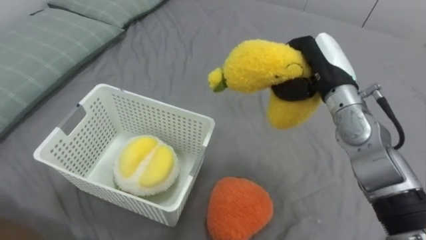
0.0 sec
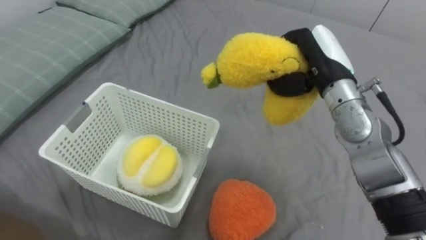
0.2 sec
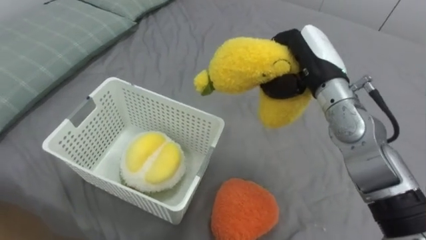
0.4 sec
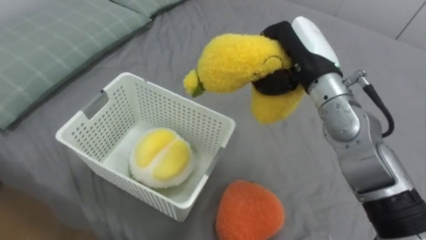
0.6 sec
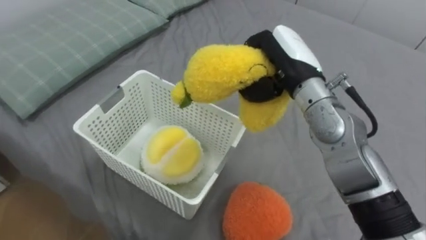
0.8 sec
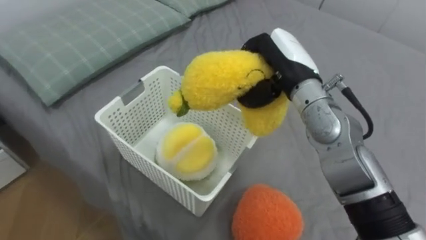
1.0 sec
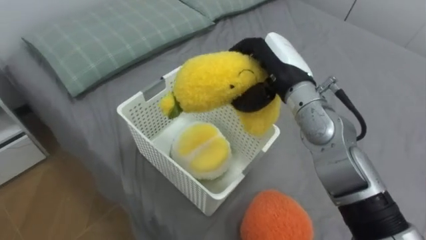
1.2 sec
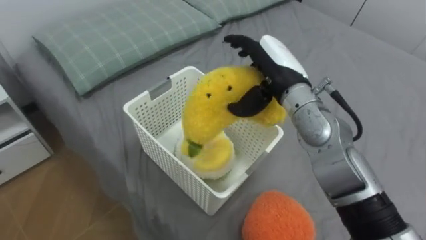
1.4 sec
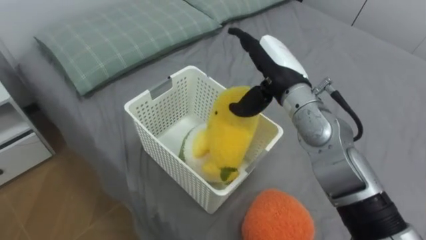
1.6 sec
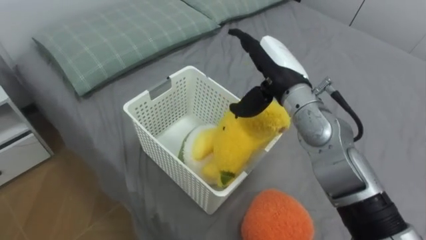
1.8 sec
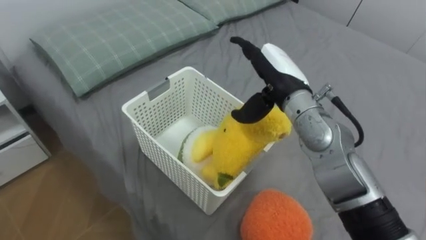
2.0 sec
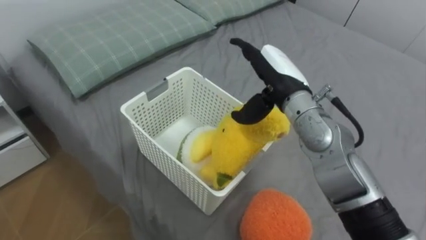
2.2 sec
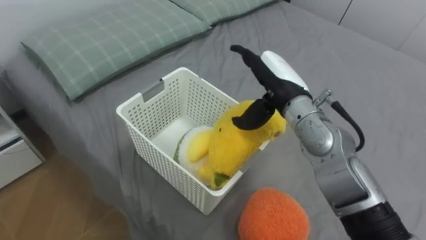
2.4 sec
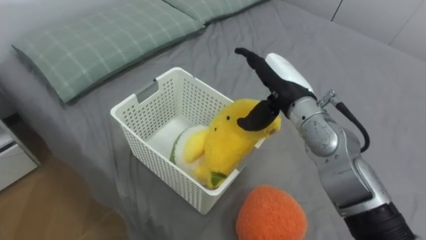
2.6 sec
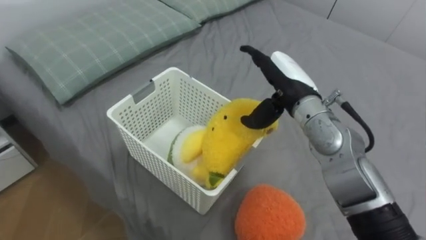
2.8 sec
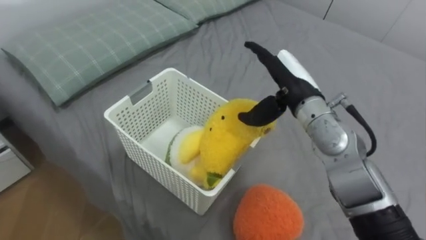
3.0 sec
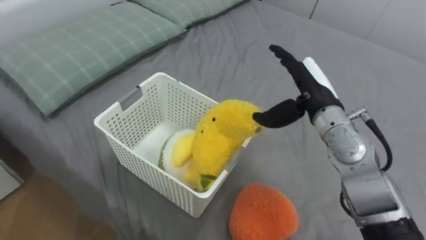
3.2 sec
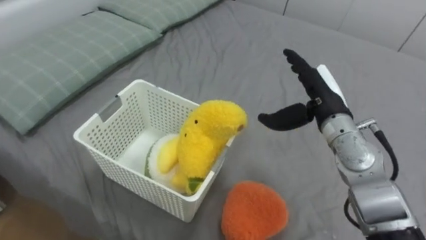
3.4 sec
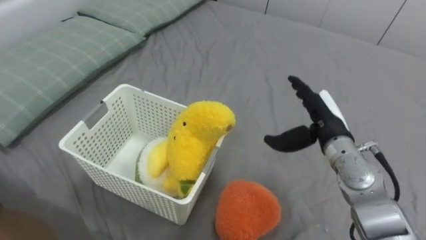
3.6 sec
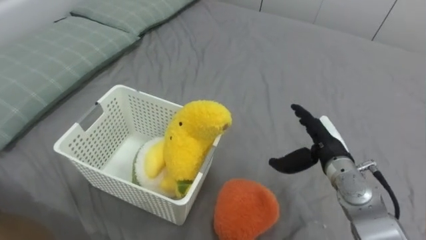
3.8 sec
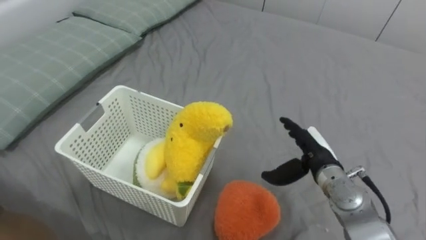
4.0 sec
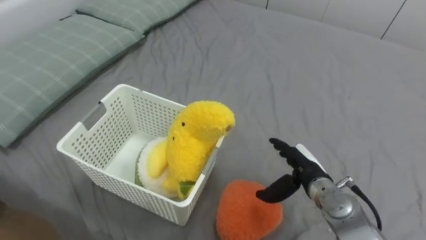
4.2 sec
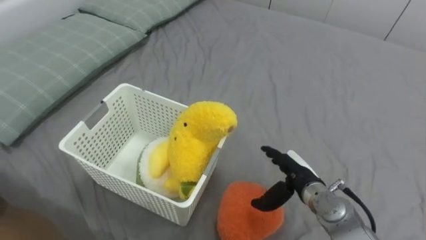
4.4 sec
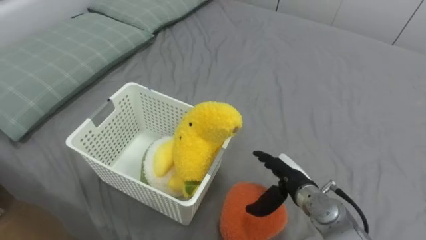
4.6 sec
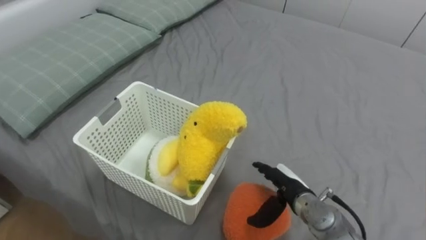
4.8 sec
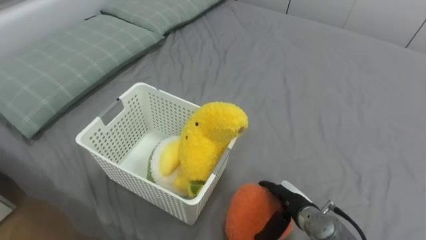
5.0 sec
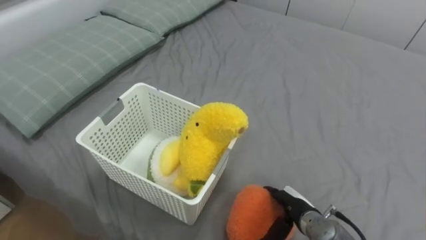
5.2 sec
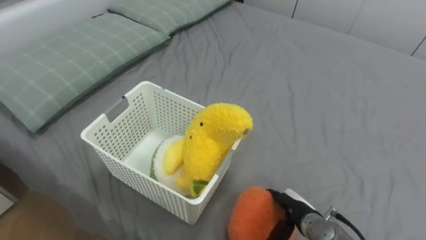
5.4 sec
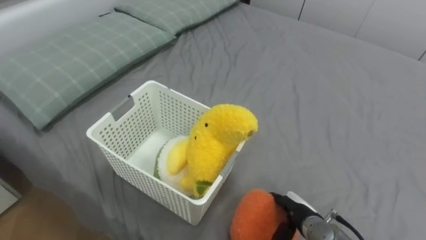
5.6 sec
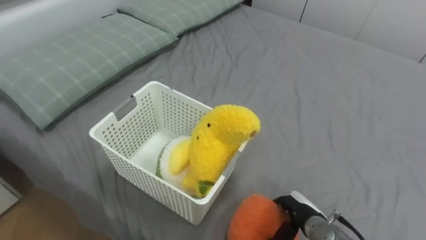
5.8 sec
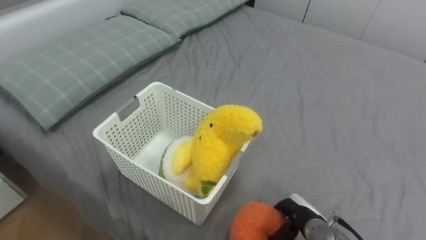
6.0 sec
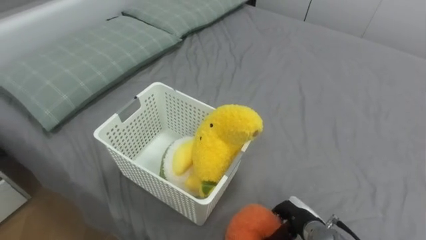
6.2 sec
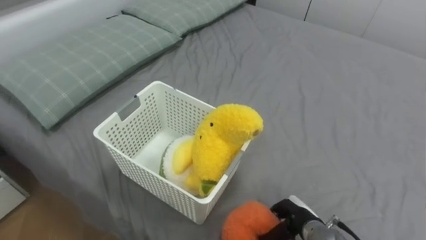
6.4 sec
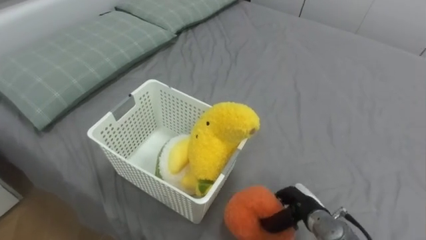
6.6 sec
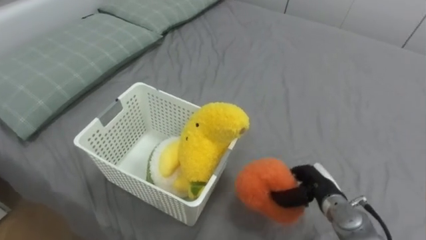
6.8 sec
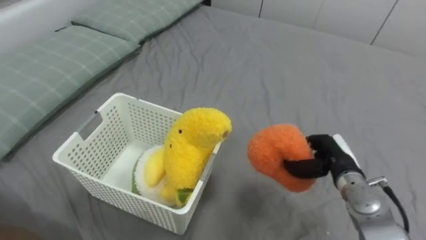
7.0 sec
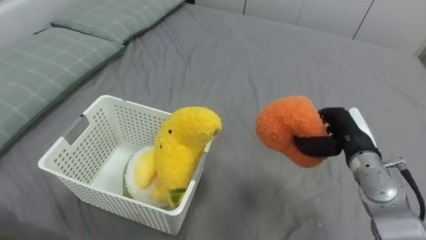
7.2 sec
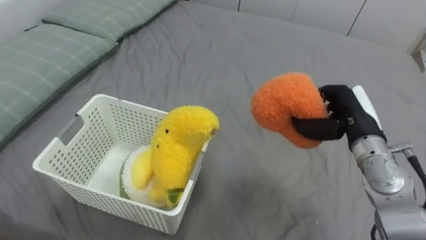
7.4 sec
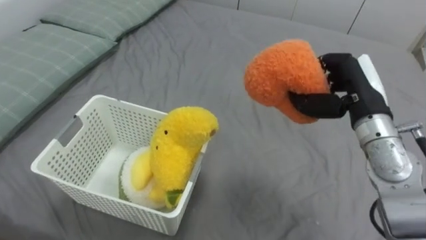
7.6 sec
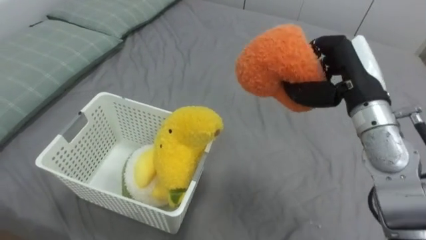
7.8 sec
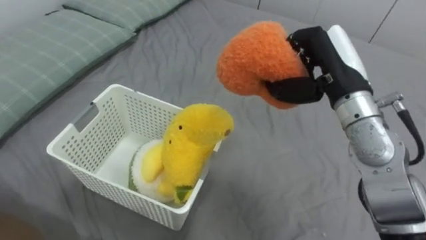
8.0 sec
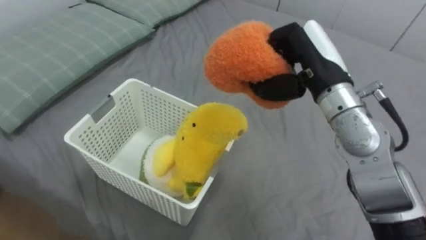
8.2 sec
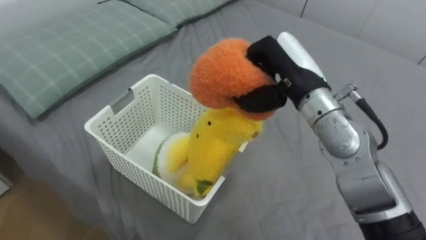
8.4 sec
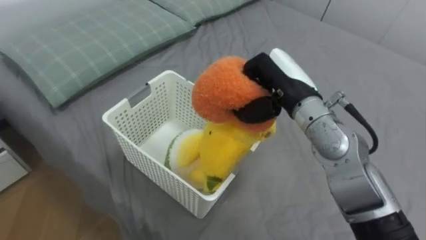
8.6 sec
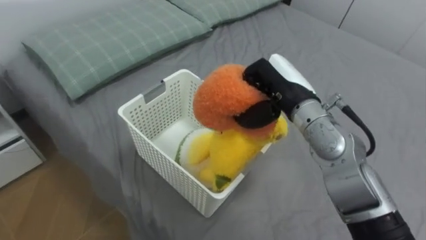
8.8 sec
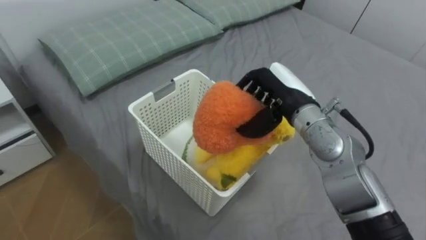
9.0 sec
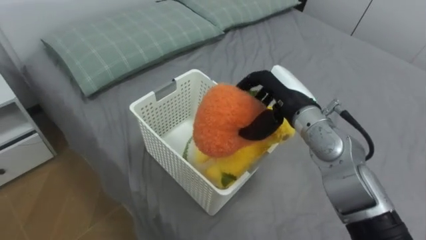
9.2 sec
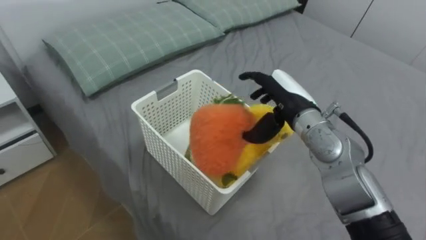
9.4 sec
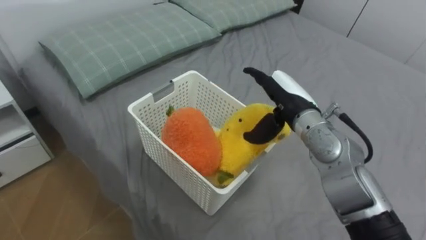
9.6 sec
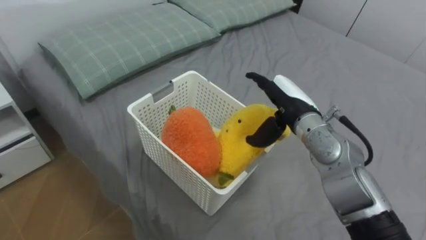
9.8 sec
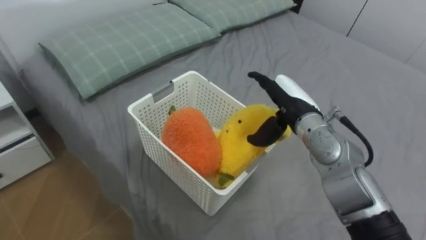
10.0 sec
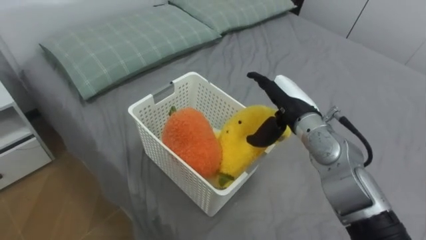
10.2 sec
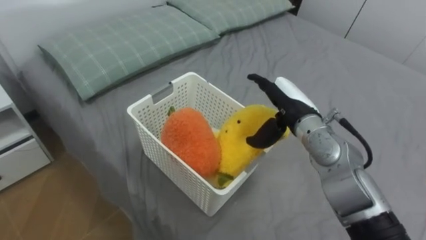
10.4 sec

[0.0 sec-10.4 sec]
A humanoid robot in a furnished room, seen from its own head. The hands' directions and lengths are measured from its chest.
Task of the whole recording: Put the toys on the bed into the basket on the left.
0.0 sec to 1.4 sec: The right hand shifts some 10 cm to the left, and opens up.
3.0 sec to 4.4 sec: The right hand is displaced downward and backward by about 20 cm.
4.4 sec to 6.0 sec: The right hand moves downward and backward, approximately 10 cm, and closes up.
6.0 sec to 7.4 sec: The right hand is displaced upward and forward by about 25 cm.
7.4 sec to 9.0 sec: The right hand travels to the left by some 15 cm.
9.0 sec to 10.4 sec: The right hand opens up.

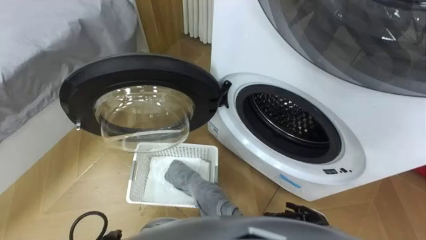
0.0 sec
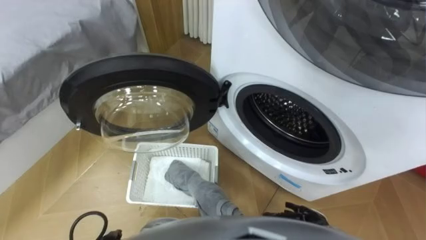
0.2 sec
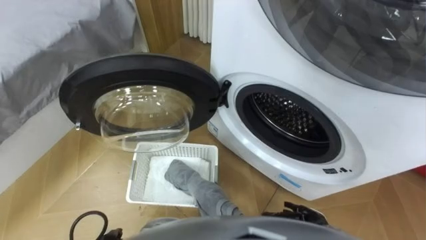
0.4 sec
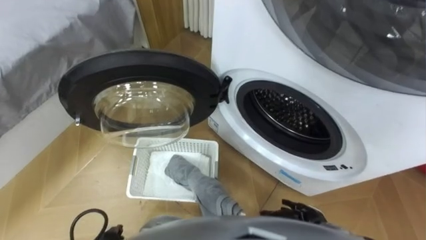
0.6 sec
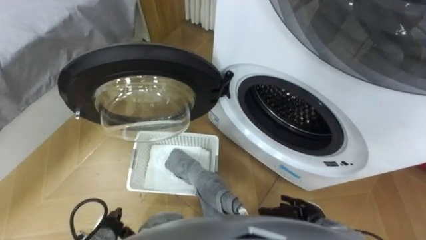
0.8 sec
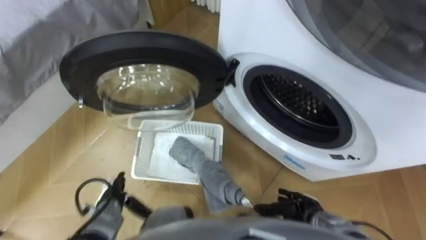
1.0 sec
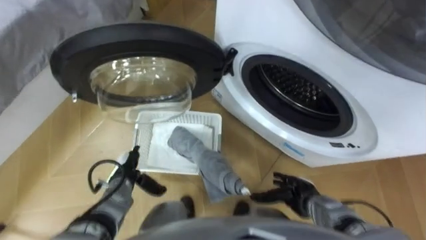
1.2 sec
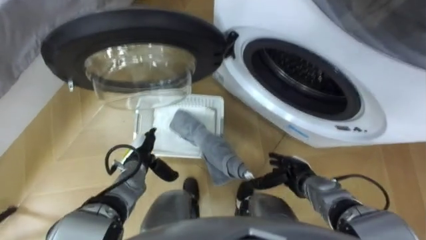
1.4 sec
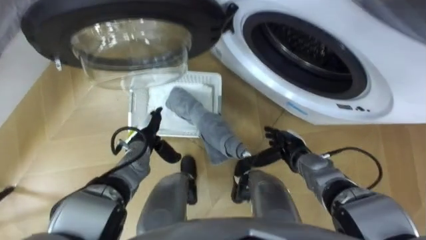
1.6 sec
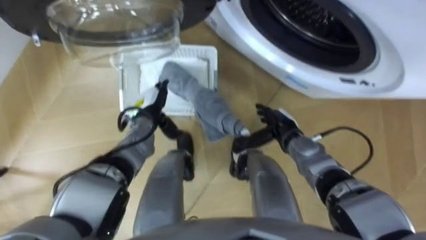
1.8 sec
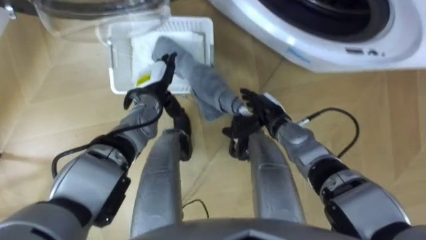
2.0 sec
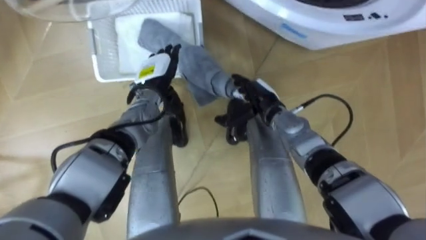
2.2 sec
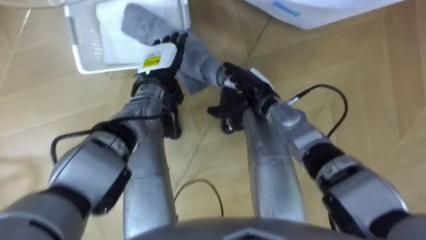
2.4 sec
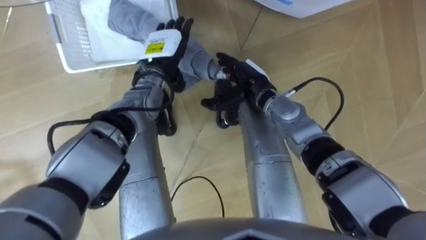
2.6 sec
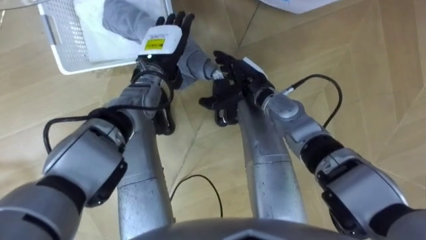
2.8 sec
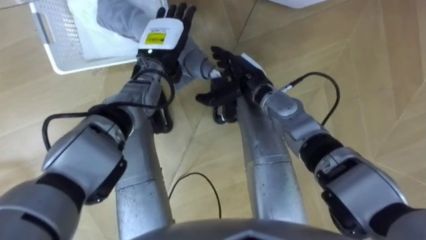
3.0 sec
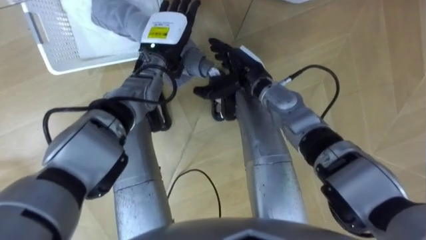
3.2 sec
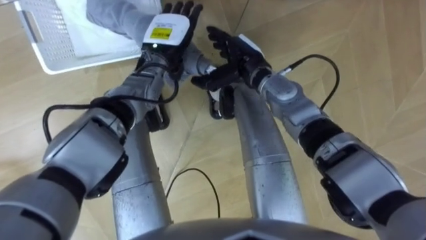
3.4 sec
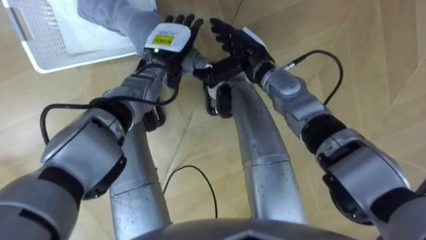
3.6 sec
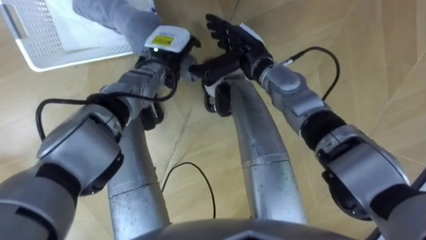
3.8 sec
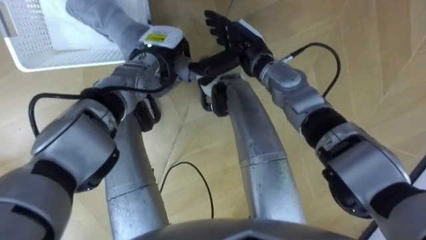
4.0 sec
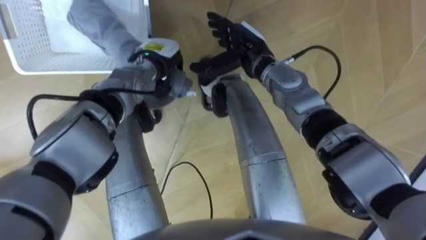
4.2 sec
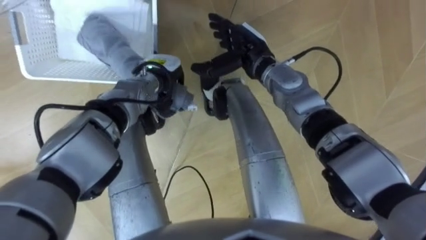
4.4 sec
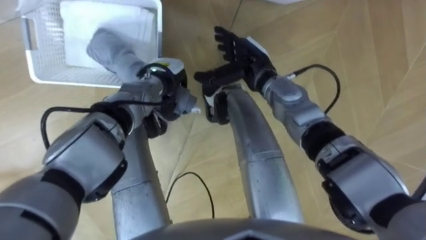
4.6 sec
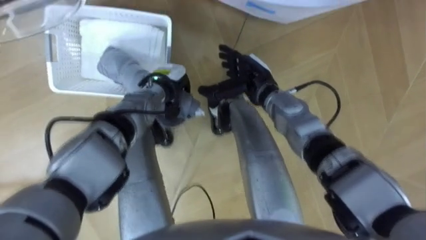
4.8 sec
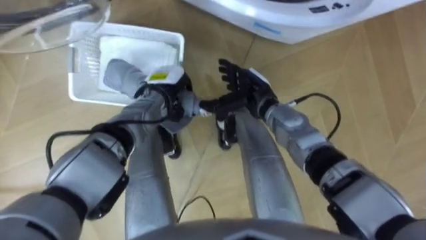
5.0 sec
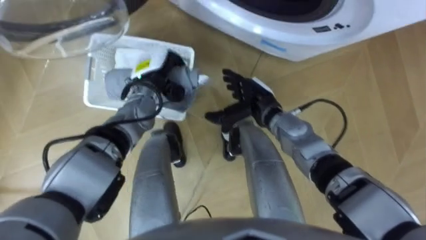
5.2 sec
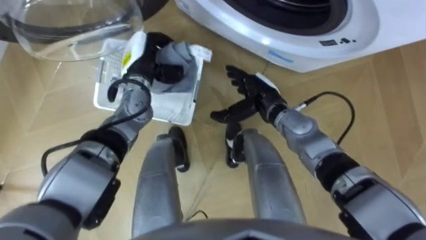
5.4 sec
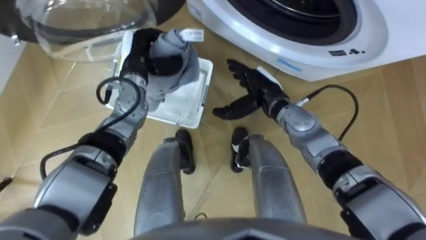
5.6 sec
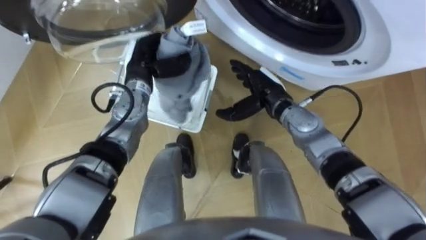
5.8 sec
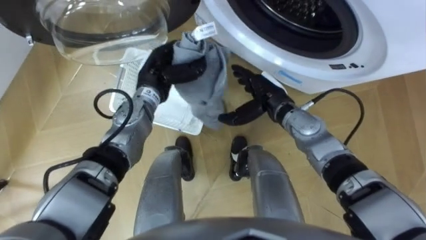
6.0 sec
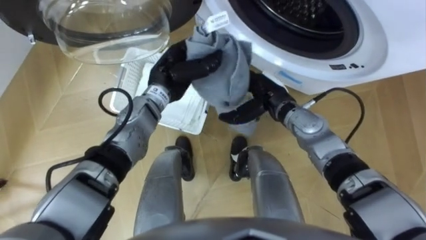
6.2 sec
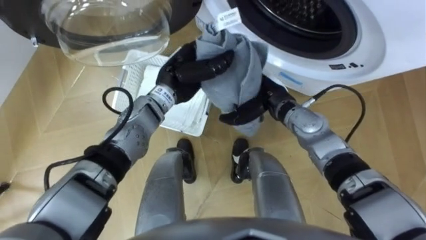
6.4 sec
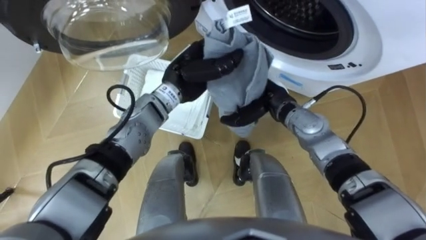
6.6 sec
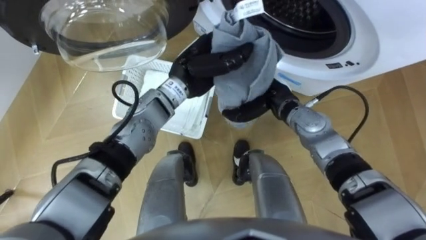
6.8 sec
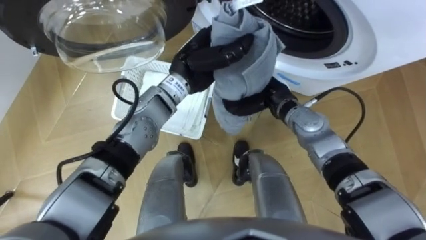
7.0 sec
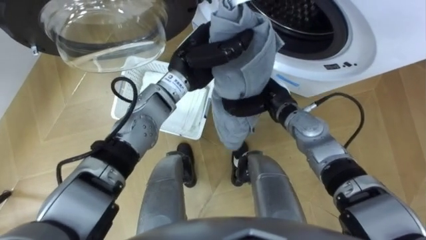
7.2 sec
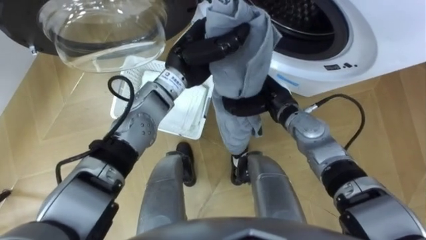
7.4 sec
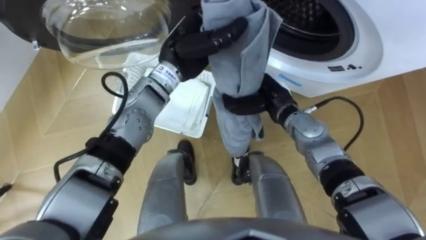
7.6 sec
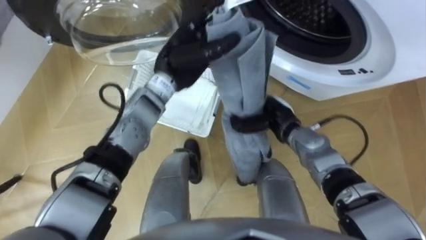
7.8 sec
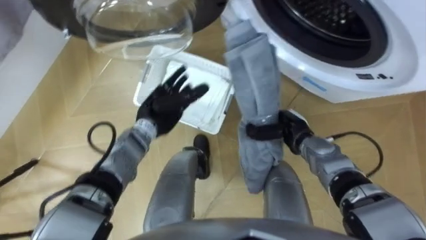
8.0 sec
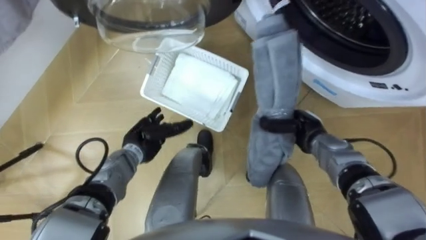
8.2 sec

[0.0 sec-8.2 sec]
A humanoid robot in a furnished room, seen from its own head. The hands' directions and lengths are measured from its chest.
Task of the whole recording: Take the towel from the basket and put it into the washing machine.
1.6 sec to 3.2 sec: The right hand travels upward, forward and to the left by approximately 25 cm. Meanwhile the left hand shifts some 25 cm upward, forward and to the right.
3.2 sec to 5.0 sec: The left hand goes some 10 cm downward and backward, and closes.
5.0 sec to 6.6 sec: The left hand goes some 10 cm upward and to the right.
6.6 sec to 8.2 sec: The right hand goes approximately 10 cm to the right and downward, and closes, while the left hand shifts approximately 20 cm downward, to the left and backward, and opens up.
